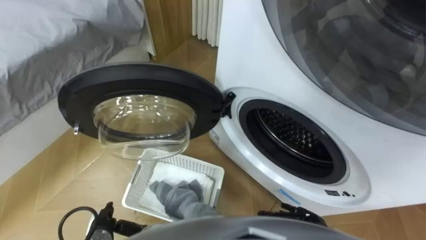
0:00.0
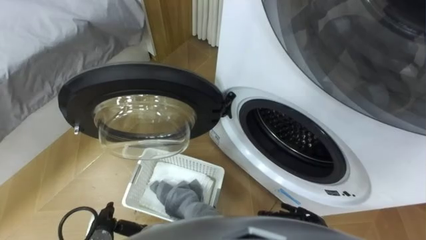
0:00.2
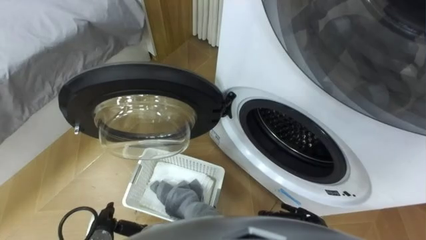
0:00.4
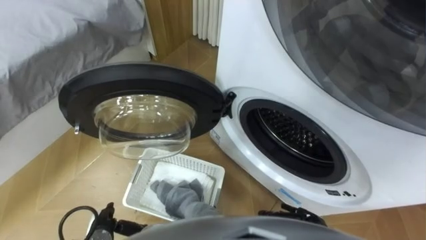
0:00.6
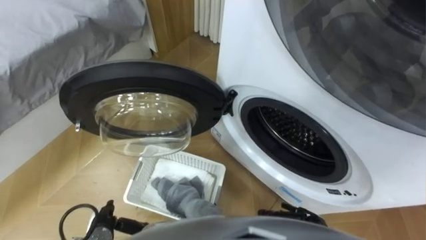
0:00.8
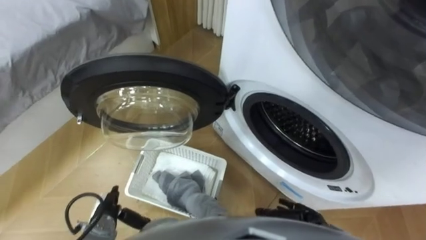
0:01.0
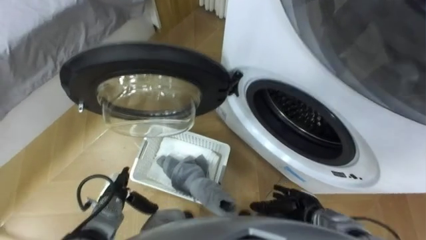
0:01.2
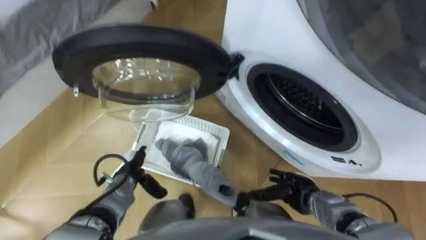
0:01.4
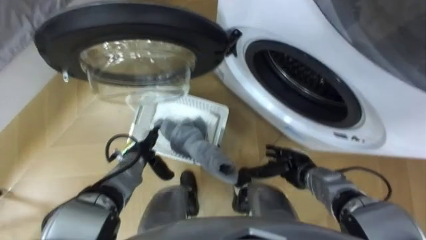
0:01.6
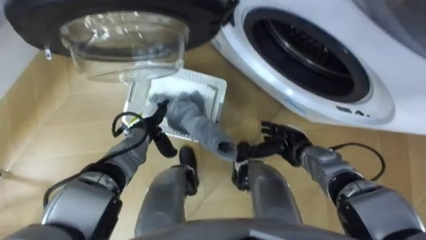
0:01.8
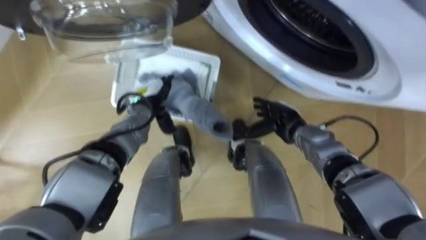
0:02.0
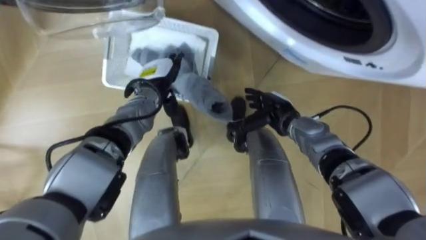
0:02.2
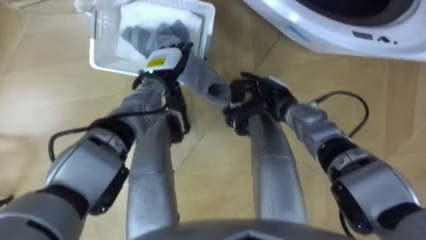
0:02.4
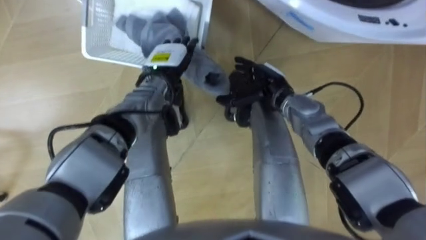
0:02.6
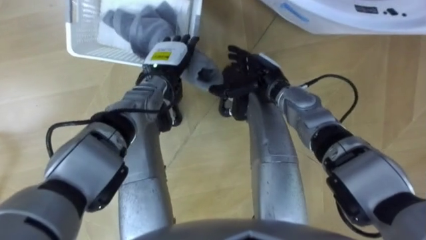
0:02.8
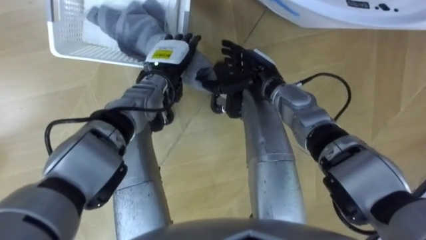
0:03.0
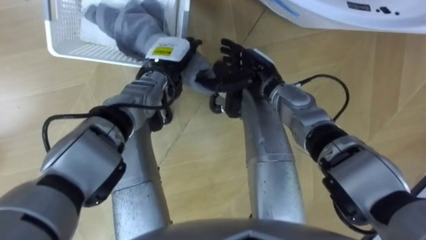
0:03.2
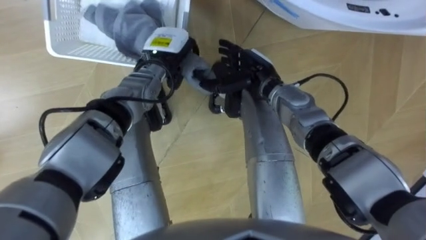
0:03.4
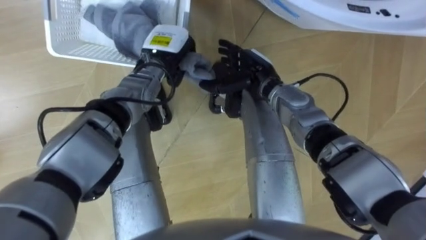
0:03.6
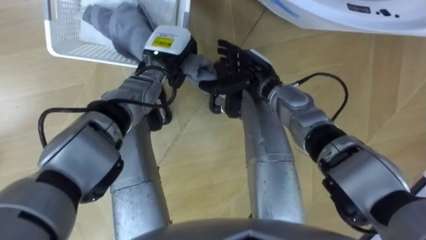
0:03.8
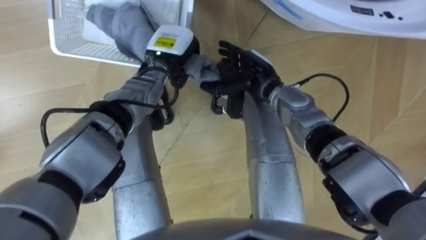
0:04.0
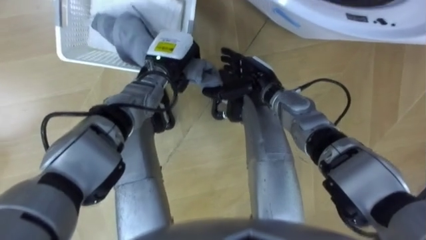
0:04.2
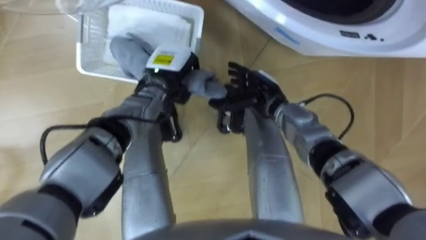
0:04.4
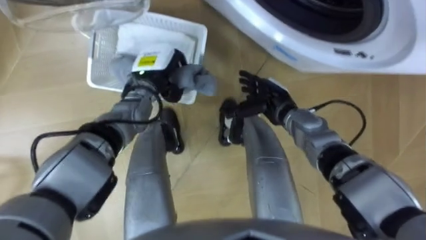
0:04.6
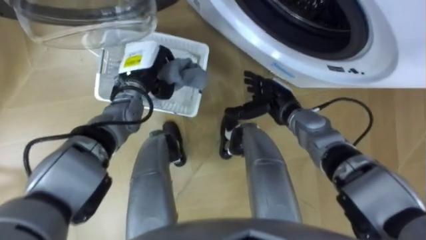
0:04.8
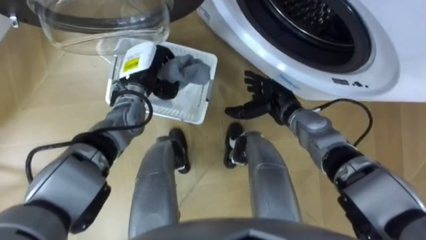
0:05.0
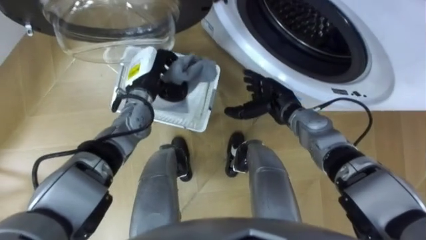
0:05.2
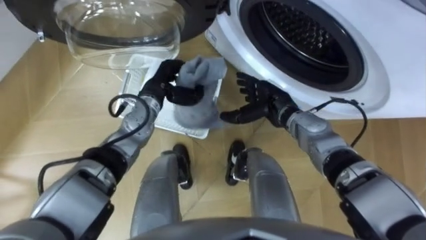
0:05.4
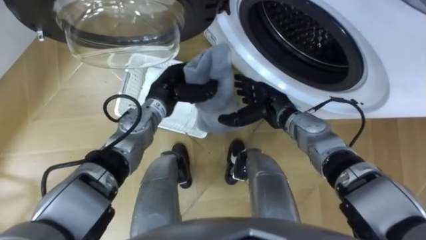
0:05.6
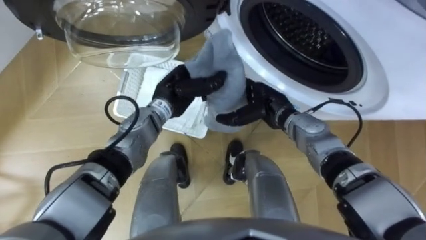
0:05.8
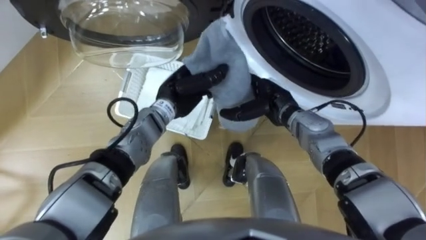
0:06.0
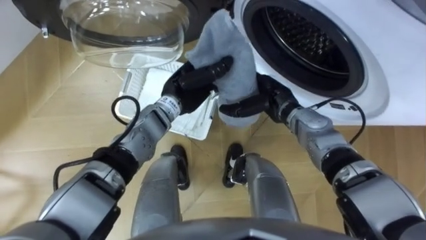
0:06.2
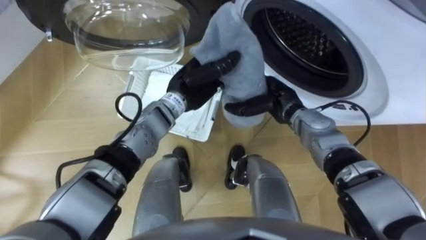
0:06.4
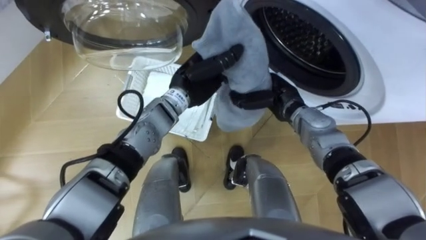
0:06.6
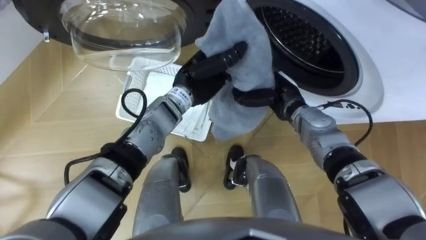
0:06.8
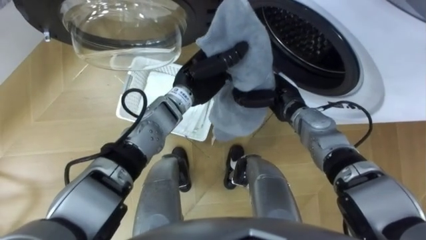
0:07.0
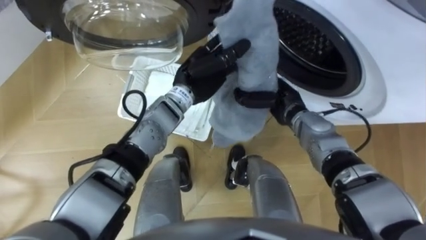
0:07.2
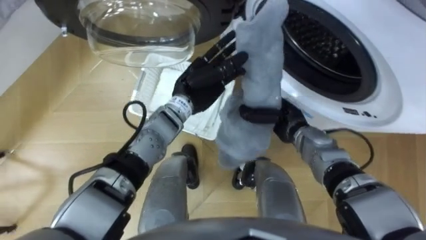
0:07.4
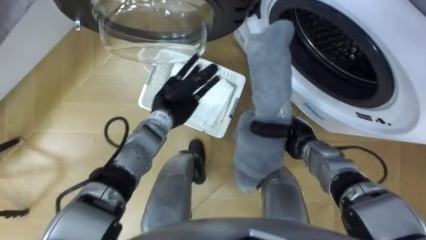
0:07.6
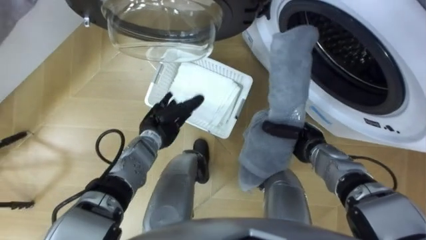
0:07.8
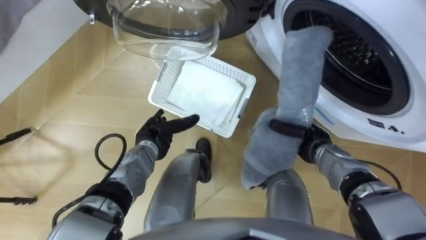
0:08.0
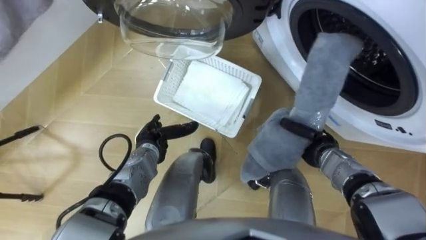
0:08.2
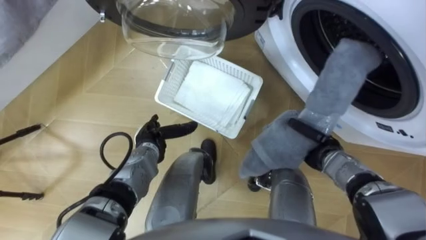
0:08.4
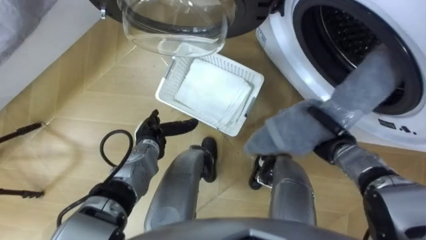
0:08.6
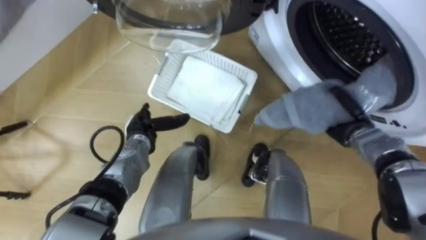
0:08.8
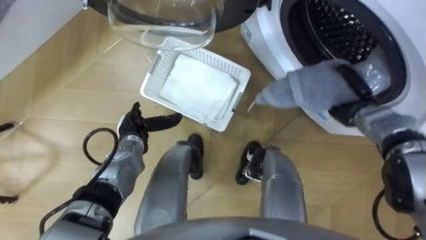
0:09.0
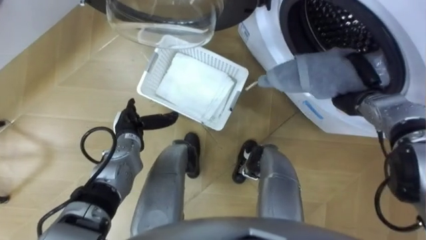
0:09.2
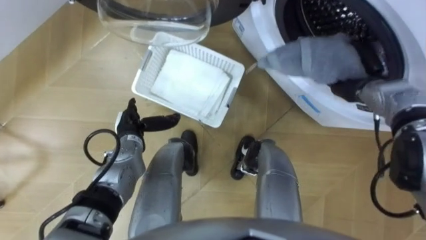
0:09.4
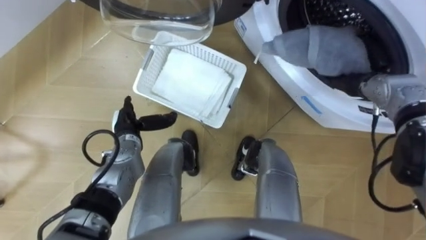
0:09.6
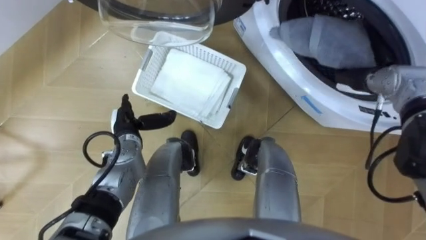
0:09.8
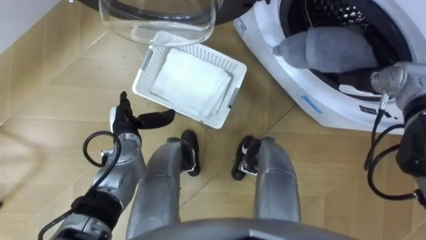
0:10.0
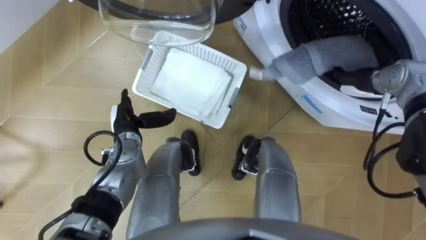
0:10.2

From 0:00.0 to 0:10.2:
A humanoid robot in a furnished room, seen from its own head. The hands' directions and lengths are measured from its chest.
Task of the whole recording: Take the towel from the basket and put it into the washing machine.
From 0:01.4 to 0:03.0: The left hand heads forward, upward and to the right, covering some 30 cm, while the right hand goes roughly 30 cm forward, upward and to the left.
From 0:03.0 to 0:04.4: The left hand closes its fingers.
From 0:04.4 to 0:05.8: The left hand goes to the left and returns, roughly 5 cm each way.
From 0:05.8 to 0:07.2: The left hand changes place by about 5 cm. The right hand closes up.
From 0:07.2 to 0:08.8: The left hand goes approximately 20 cm to the left, downward and backward, and opens; the right hand shifts approximately 15 cm to the right.
From 0:08.8 to 0:10.2: The right hand goes approximately 10 cm upward and forward, and opens.

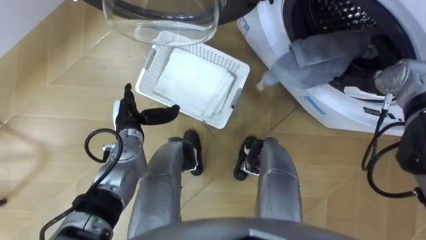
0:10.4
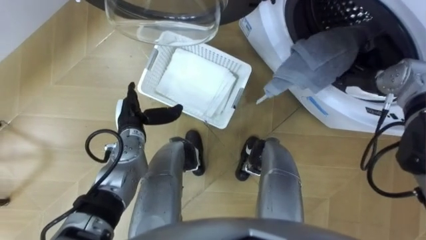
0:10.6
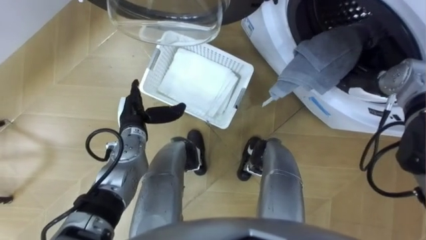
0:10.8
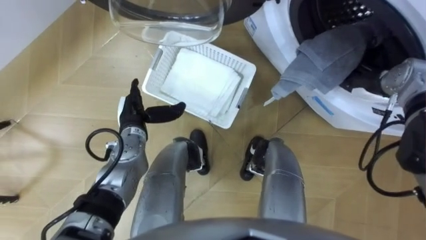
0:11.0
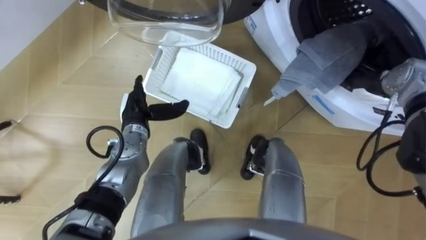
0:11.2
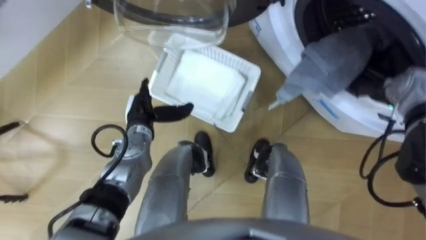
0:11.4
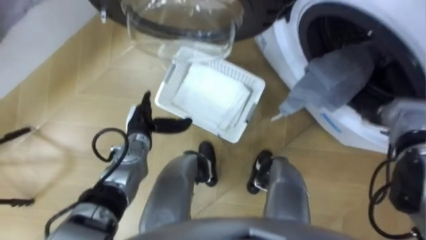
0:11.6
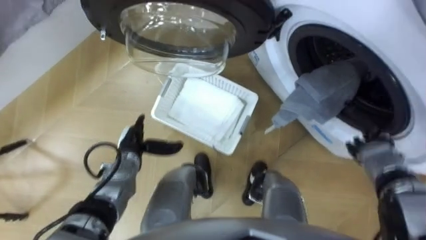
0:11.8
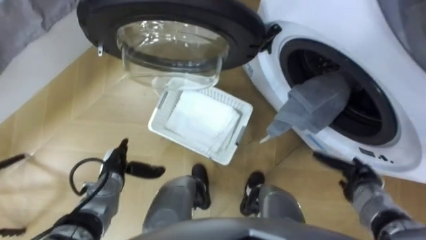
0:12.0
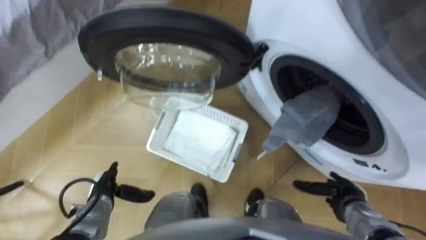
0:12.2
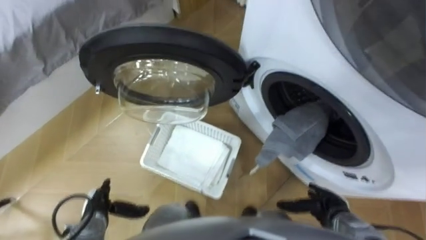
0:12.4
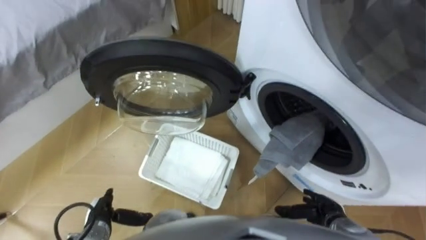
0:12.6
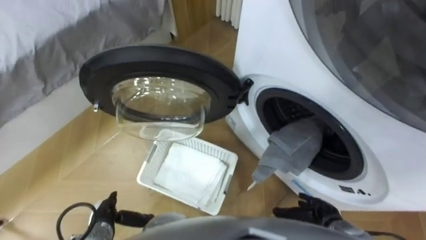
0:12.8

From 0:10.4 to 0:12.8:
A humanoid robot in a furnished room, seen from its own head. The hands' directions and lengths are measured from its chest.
Task of the whole recording: Take the towel from the basket and put it into the washing machine.
From 0:10.4 to 0:11.6: The right hand heads backward, covering about 5 cm.
From 0:11.6 to 0:12.8: The two hands go some 25 cm backward, downward and to the left.

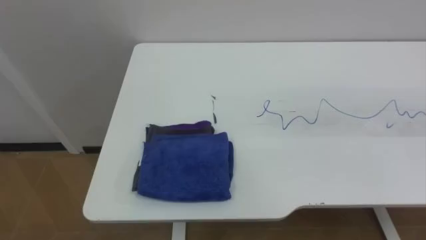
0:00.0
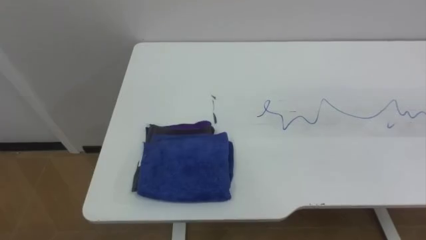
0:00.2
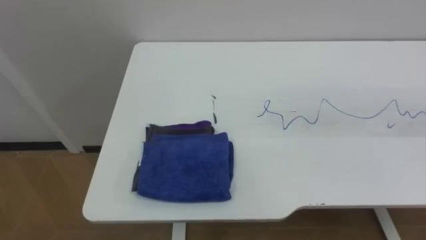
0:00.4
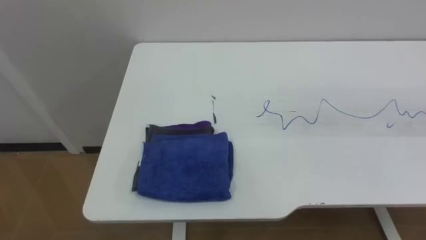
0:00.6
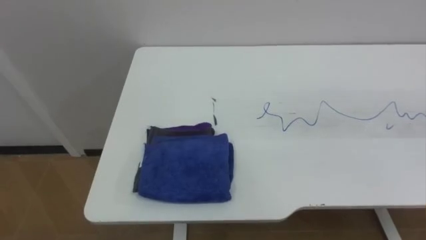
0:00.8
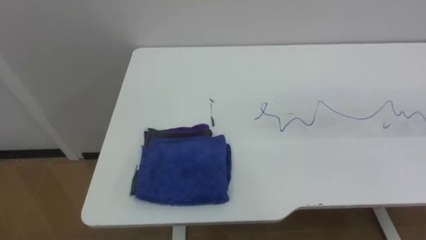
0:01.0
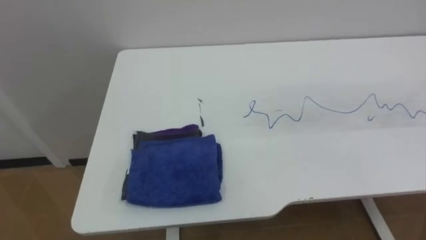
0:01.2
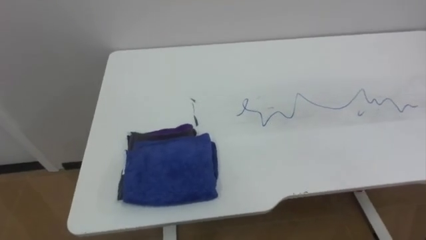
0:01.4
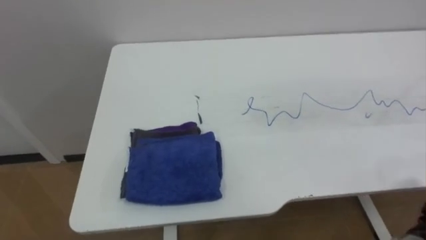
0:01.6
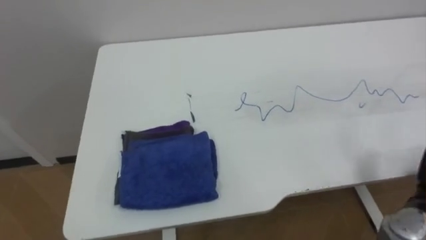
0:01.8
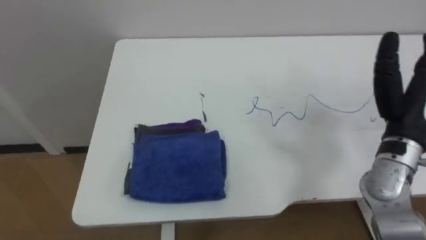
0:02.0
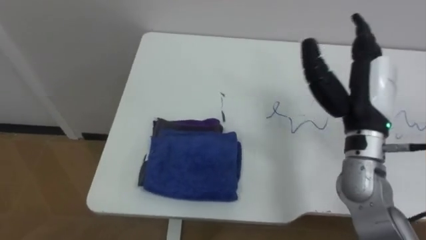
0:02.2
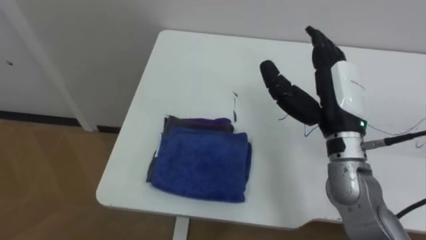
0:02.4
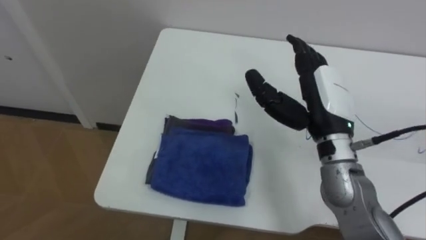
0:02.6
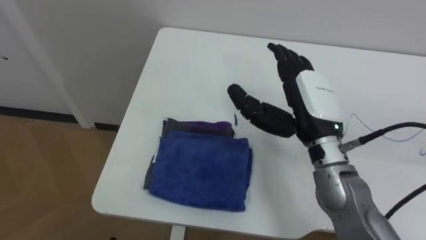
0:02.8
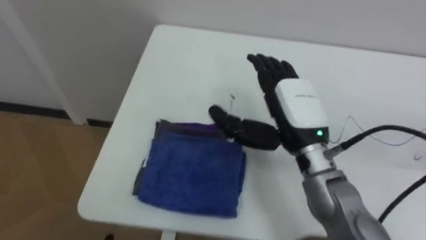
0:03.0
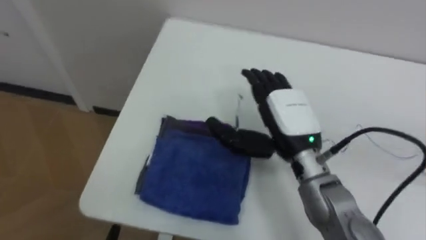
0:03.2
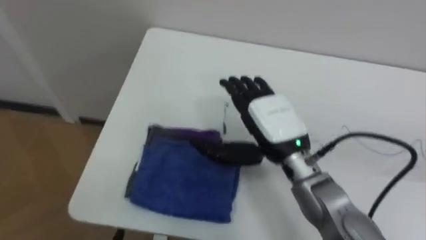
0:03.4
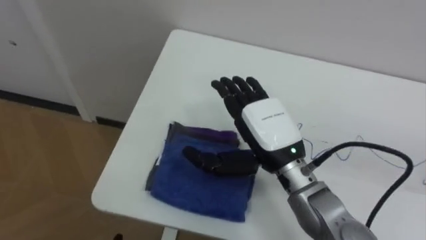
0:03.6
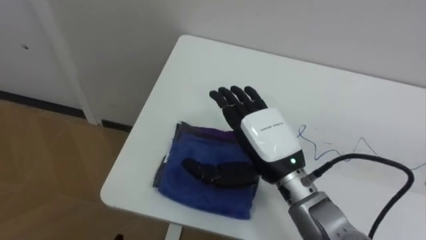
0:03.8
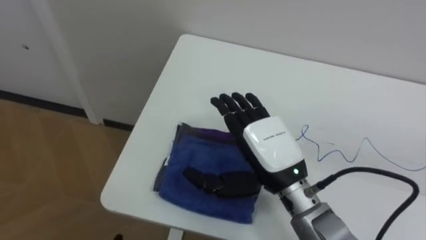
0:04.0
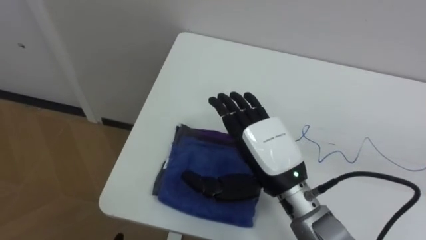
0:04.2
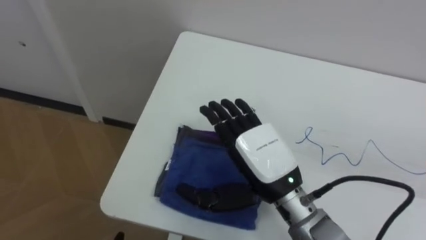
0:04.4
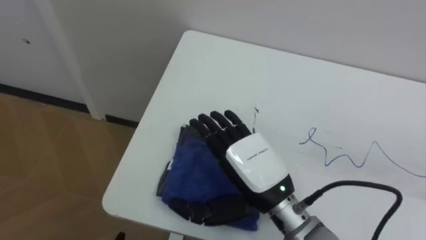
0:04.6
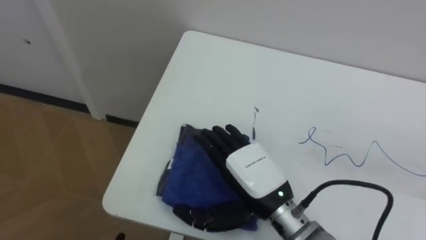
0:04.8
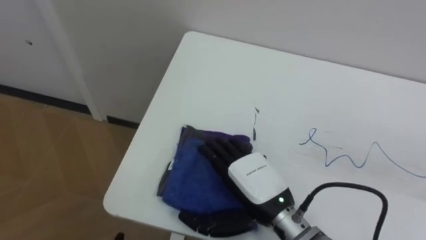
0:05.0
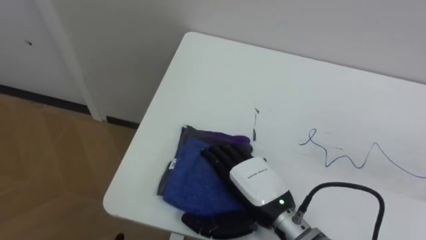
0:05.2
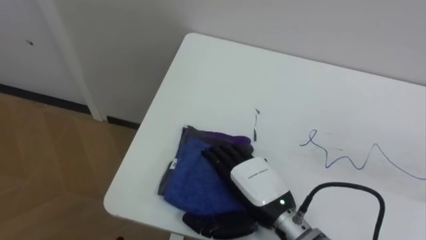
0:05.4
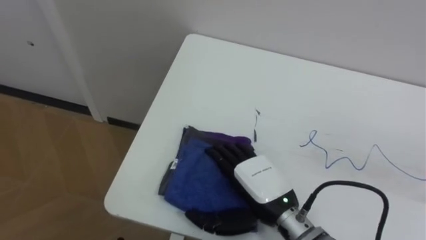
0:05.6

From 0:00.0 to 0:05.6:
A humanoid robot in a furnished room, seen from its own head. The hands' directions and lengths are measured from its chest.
Task of the whole recording: Wipe the blue pen marks off the table with the rag.
From 0:02.8 to 0:04.2: The right hand travels to the left and backward by about 10 cm.
From 0:04.2 to 0:05.6: The right hand moves downward, some 10 cm.
